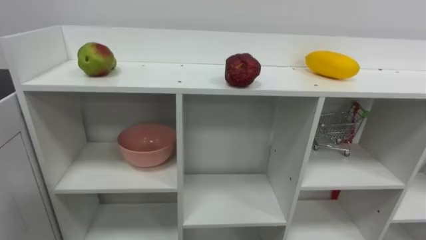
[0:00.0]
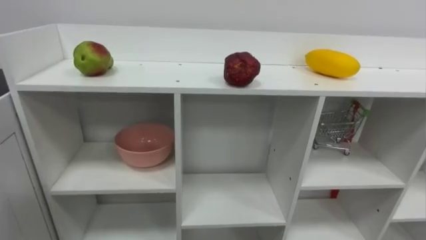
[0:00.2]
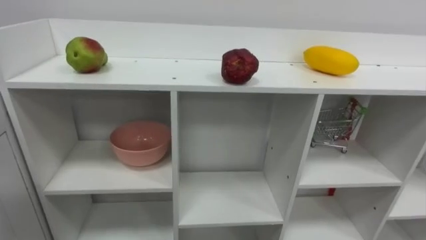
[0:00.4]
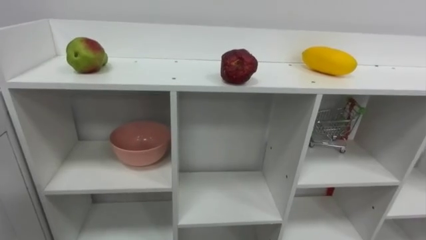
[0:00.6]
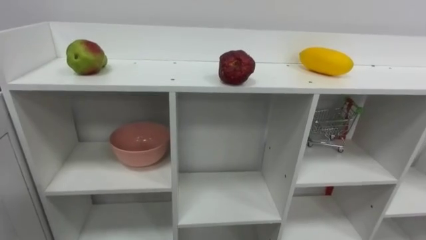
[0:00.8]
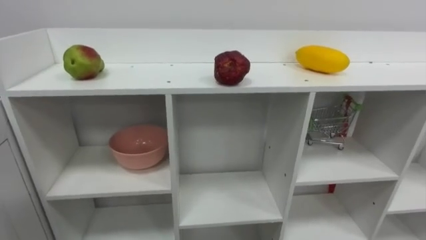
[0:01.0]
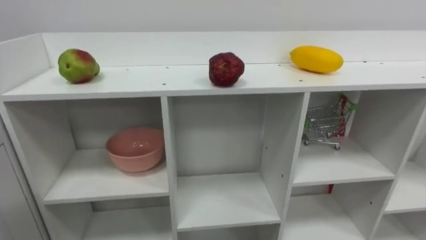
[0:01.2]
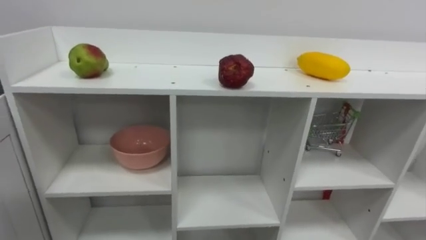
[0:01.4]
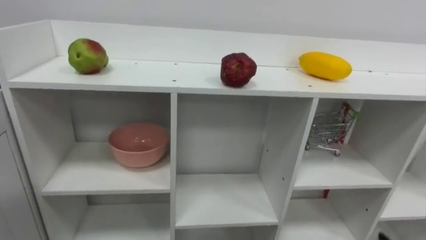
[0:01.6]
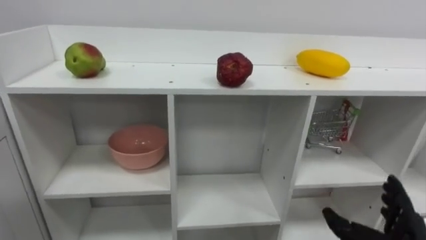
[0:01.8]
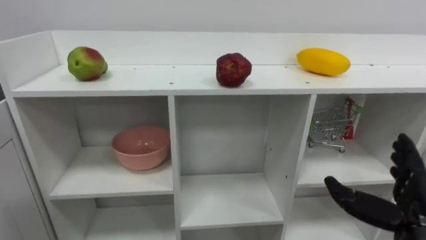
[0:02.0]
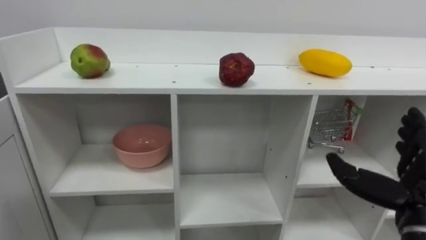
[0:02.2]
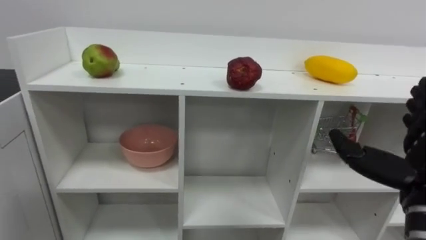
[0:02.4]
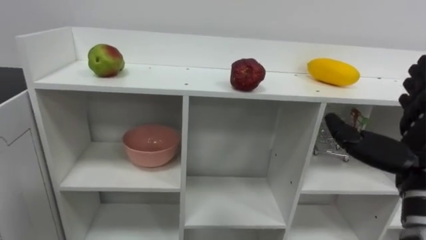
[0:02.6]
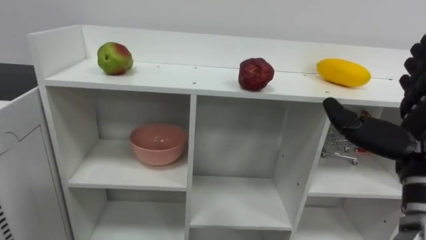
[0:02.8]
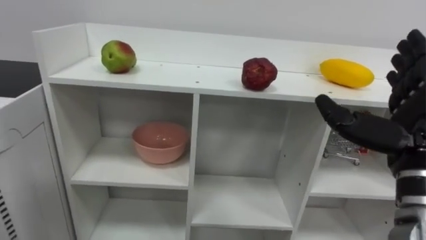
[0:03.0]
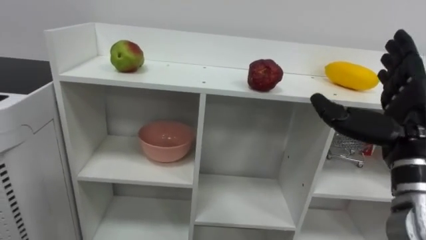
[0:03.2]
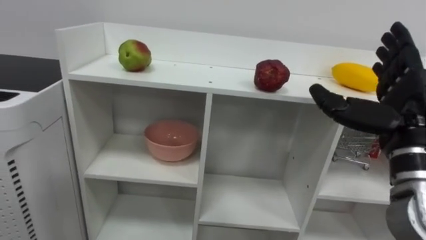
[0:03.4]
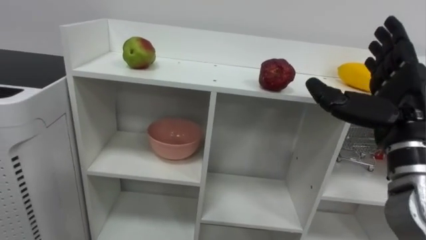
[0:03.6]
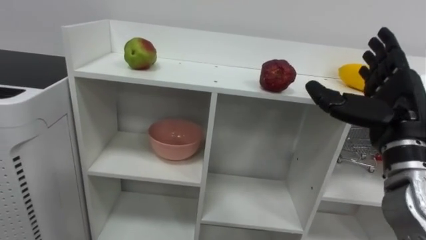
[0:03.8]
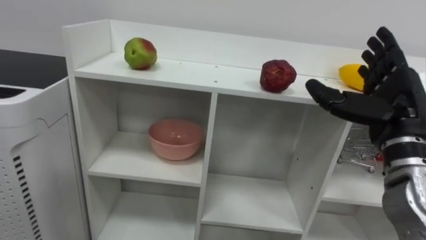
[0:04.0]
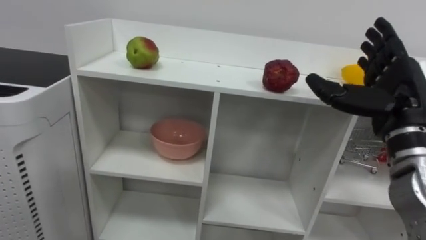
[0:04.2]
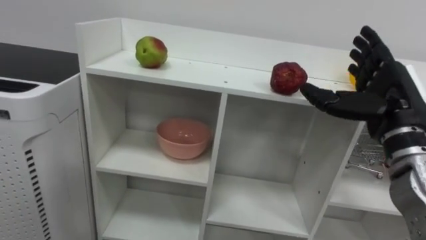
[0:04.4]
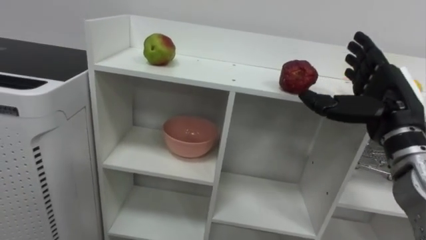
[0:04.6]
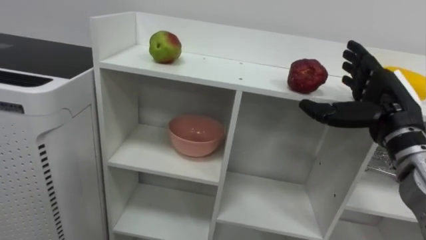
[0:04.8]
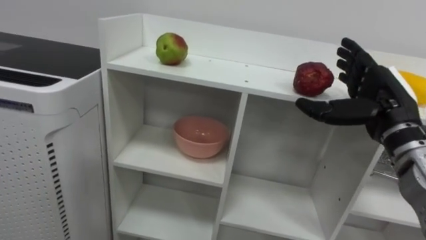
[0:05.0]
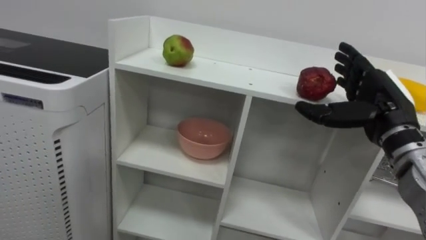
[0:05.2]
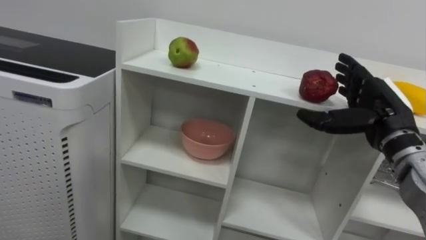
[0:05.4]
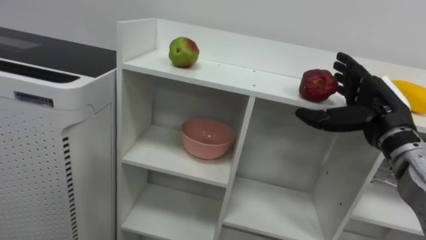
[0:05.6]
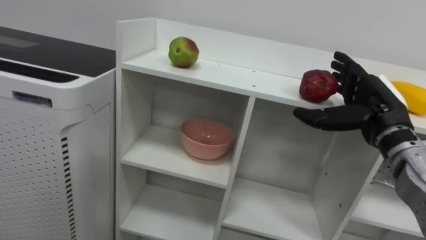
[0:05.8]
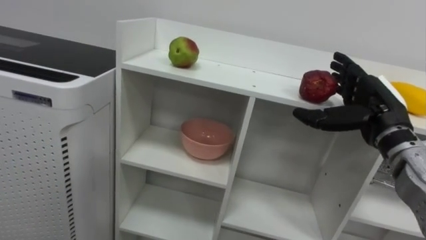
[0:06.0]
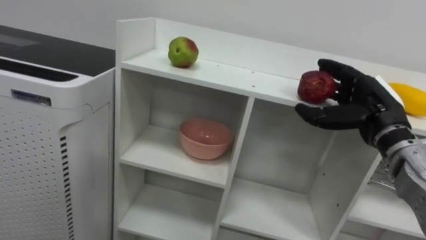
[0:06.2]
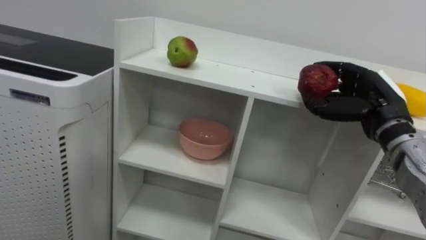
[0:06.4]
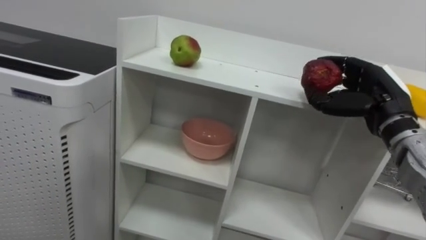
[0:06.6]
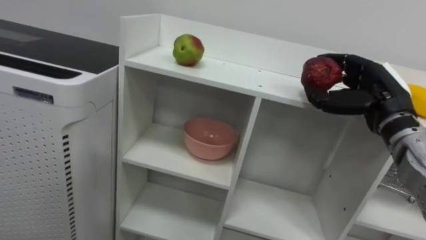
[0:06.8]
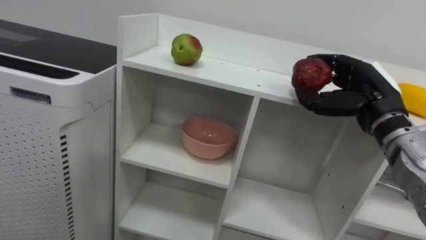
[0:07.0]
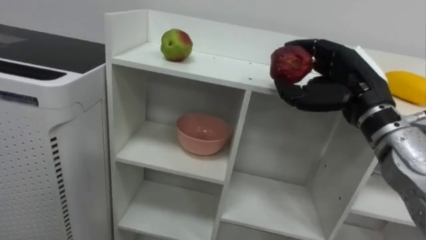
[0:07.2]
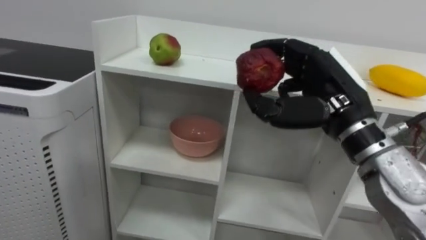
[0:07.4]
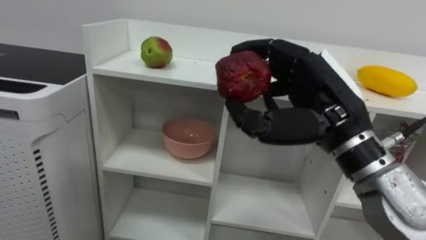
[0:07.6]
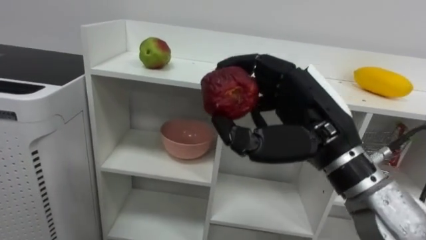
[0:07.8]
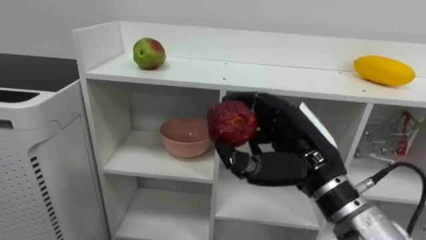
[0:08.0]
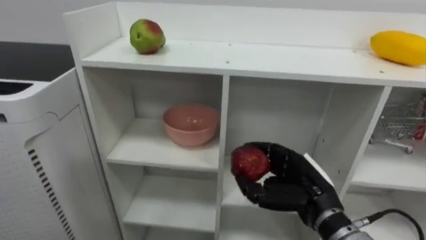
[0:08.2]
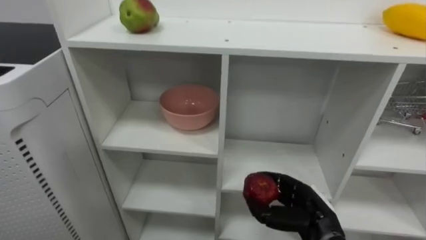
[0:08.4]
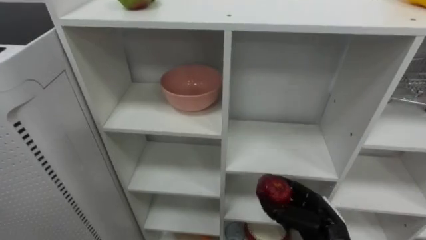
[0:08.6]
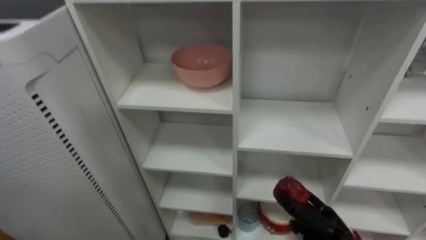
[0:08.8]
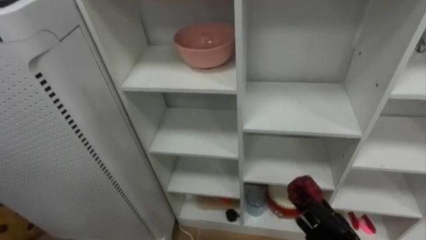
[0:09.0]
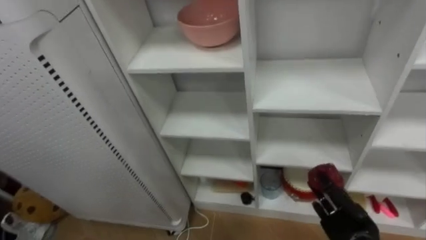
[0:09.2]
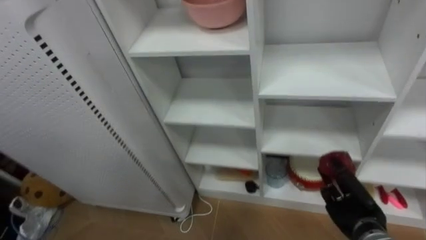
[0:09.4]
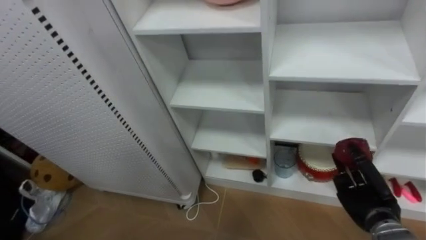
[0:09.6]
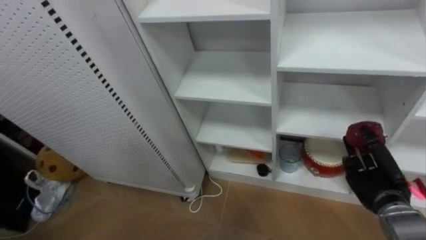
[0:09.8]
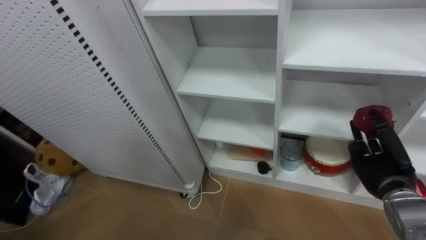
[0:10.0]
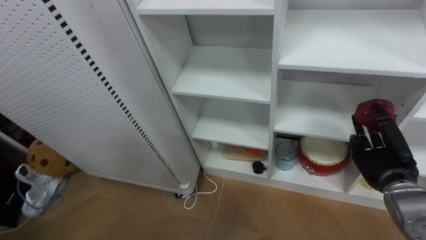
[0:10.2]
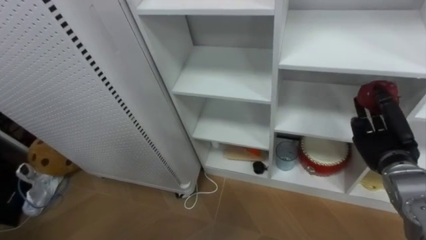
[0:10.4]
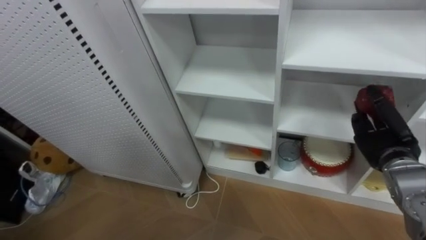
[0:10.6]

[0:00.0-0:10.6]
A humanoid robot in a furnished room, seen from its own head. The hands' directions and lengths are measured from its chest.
Task of the whole recording: Put the apple in the cell in the second column from the left and the second row from the top.
0:03.0 to 0:04.6: The right hand travels forward by roughly 10 cm.
0:06.0 to 0:07.6: The right hand moves to the left, backward and upward, roughly 15 cm, and closes up.
0:07.6 to 0:09.0: The right hand goes some 30 cm downward.
0:09.0 to 0:10.6: The right hand goes approximately 20 cm upward, to the right and forward.

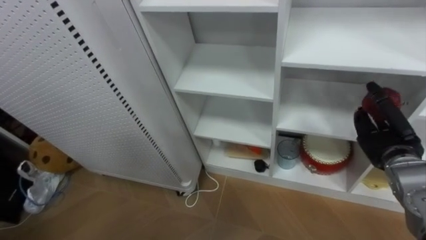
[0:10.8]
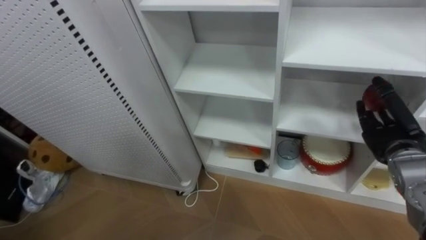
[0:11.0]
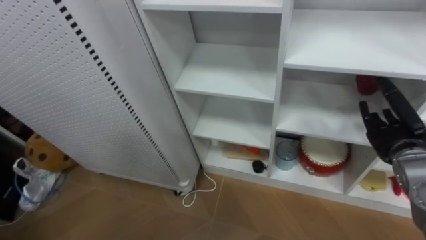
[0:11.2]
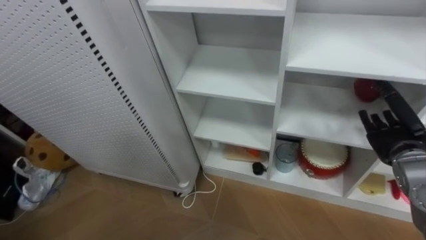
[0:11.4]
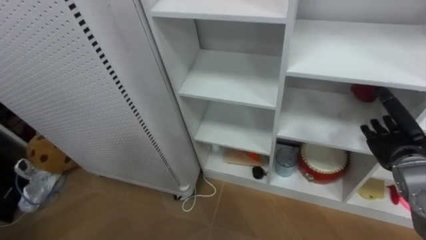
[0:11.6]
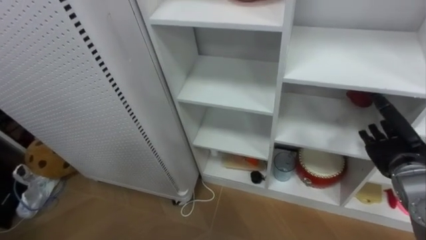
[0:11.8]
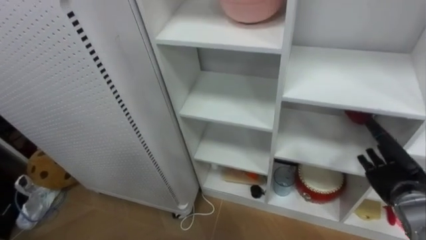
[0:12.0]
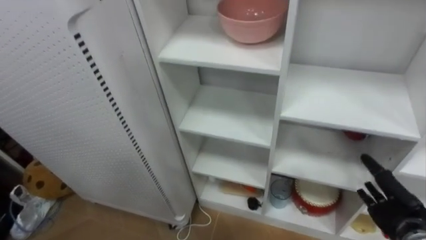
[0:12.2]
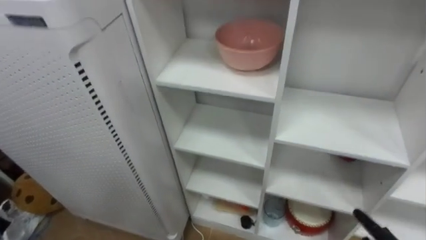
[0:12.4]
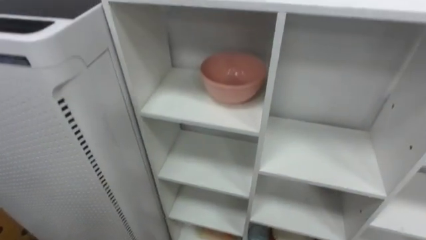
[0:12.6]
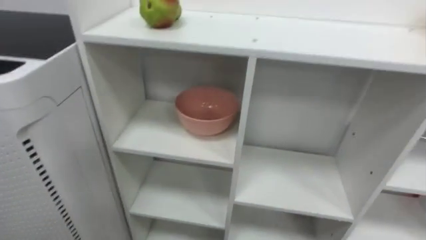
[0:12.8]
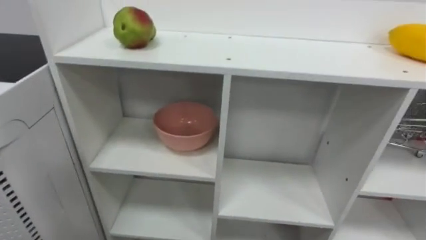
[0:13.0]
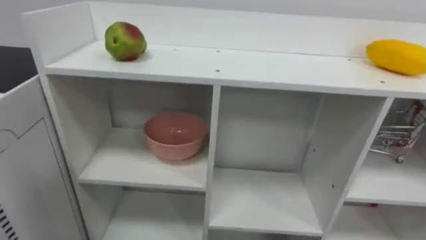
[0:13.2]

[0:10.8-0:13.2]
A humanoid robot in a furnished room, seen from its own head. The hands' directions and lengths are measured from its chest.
Task of the whole recording: Put the apple in the cell in the second column from the left and the second row from the top.
0:10.8 to 0:12.0: The right hand goes some 5 cm downward.

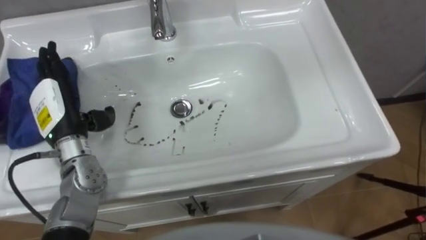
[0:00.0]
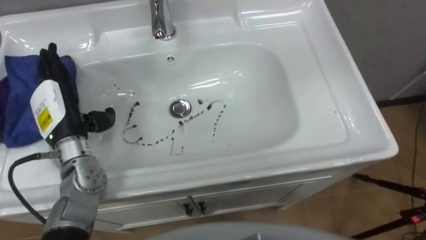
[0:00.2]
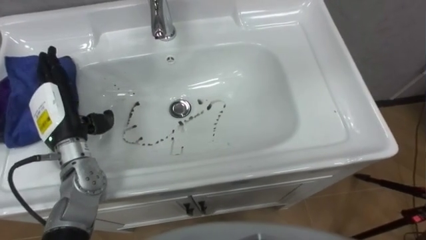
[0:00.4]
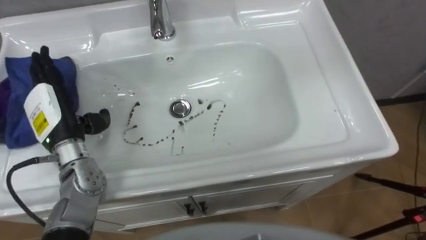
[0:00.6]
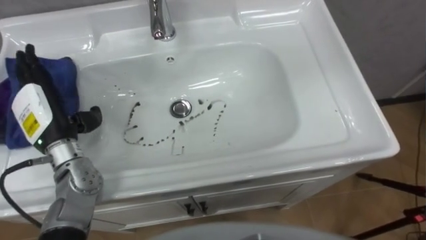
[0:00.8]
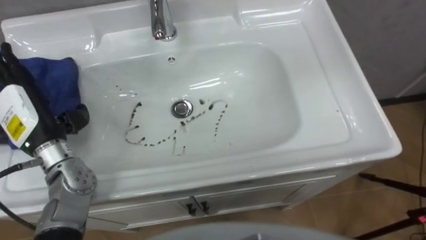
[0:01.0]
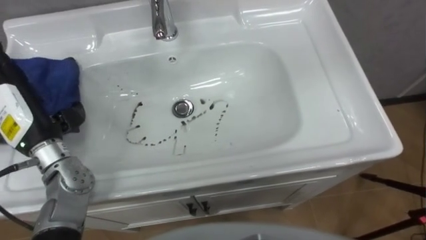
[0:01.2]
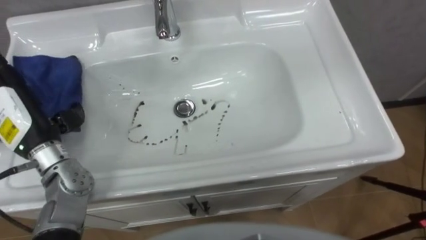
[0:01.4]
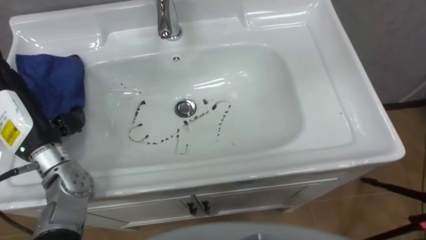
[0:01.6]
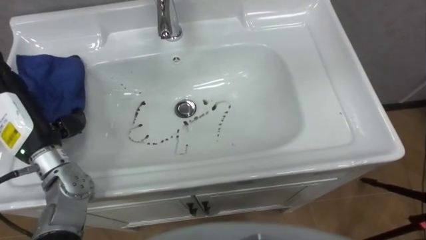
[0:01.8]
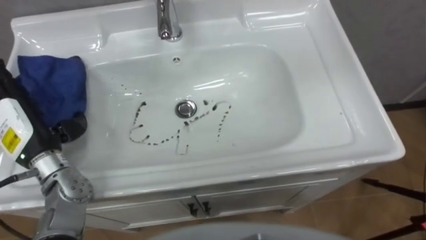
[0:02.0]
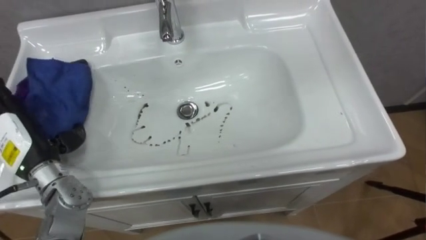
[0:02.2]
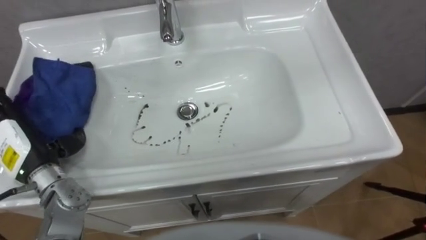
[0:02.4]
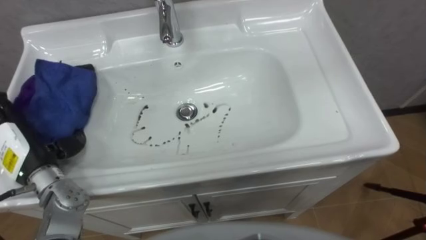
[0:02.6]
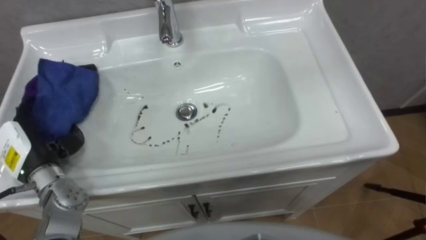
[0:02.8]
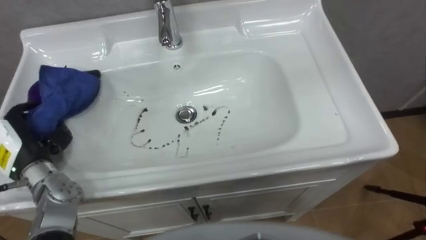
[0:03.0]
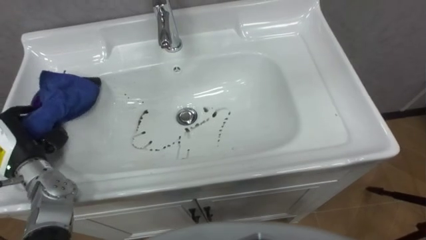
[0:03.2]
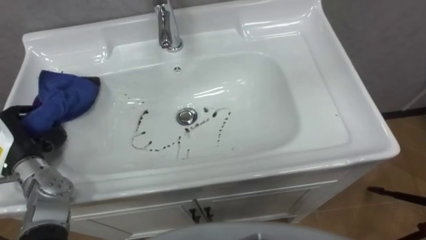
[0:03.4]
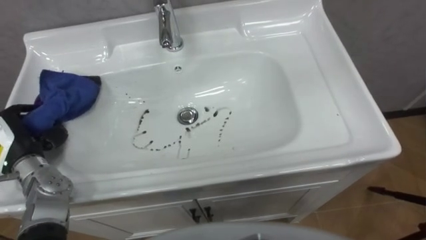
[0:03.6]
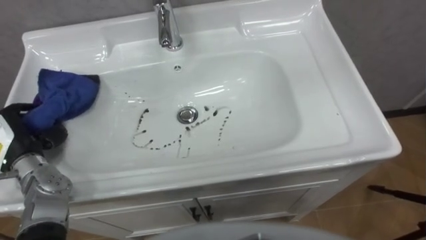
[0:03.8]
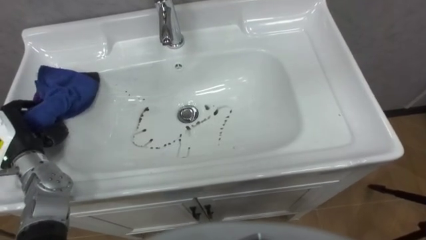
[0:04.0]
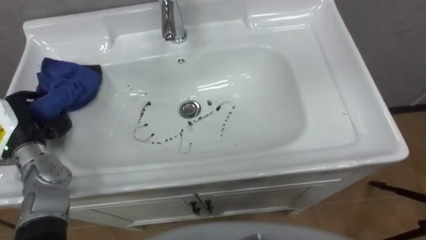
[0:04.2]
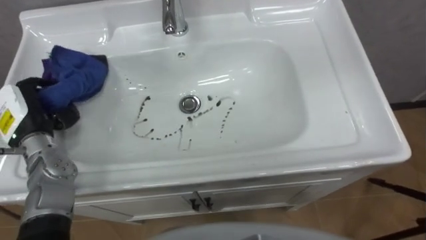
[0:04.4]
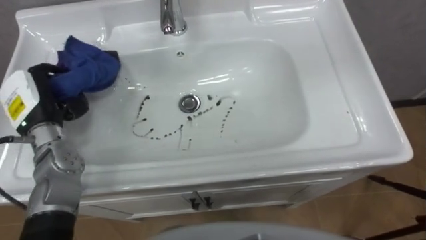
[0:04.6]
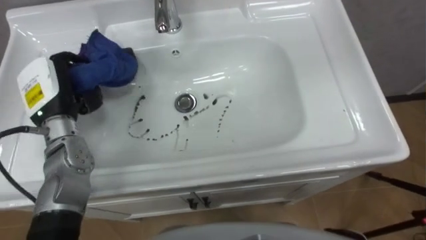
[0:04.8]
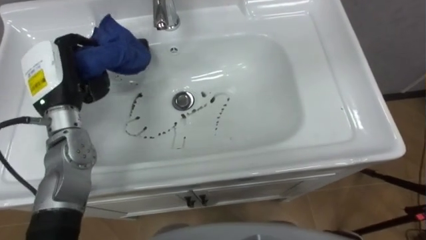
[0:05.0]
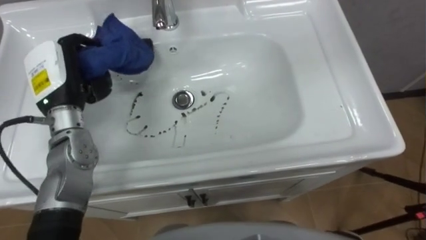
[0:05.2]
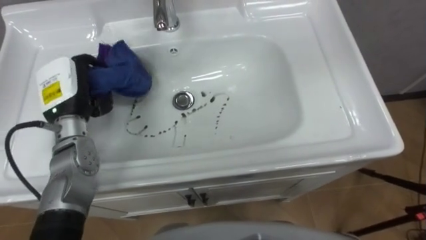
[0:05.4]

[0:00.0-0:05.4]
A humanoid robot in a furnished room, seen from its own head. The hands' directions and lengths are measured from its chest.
Task of the whole recording: Use the cloth on the right to wipe away the black stain in the sink.
0:00.0 to 0:01.4: The left hand changes place by roughly 5 cm.
0:01.4 to 0:02.8: The left hand heads downward, covering about 5 cm.
0:02.8 to 0:04.0: The left hand closes.
0:04.0 to 0:05.4: The left hand shifts approximately 15 cm to the right, forward and upward.
